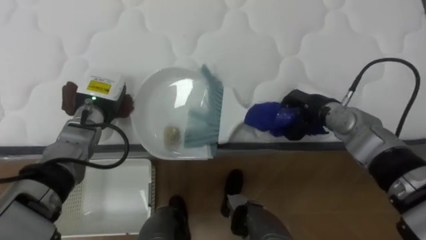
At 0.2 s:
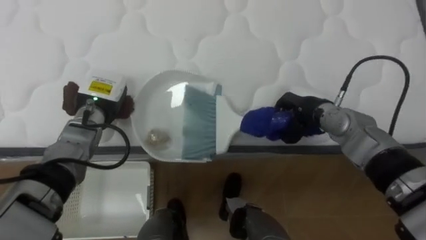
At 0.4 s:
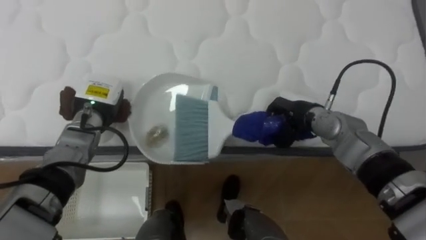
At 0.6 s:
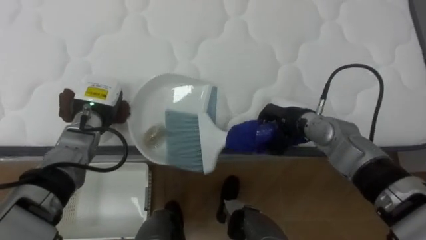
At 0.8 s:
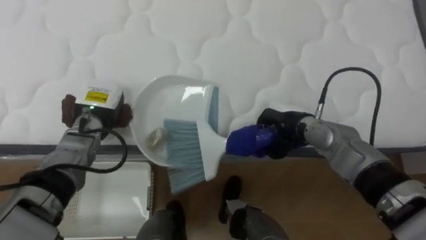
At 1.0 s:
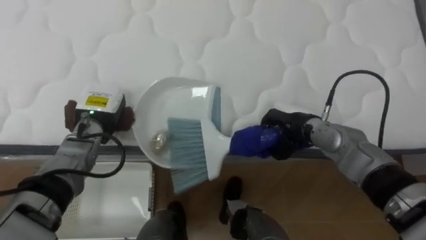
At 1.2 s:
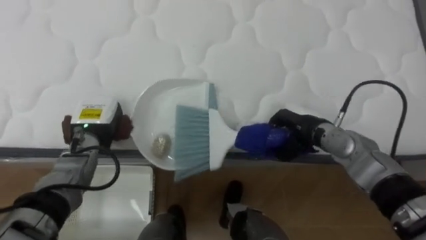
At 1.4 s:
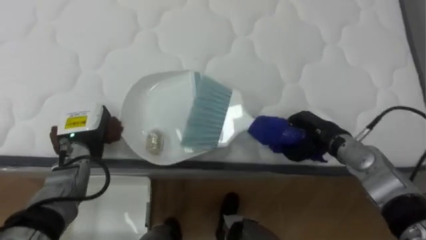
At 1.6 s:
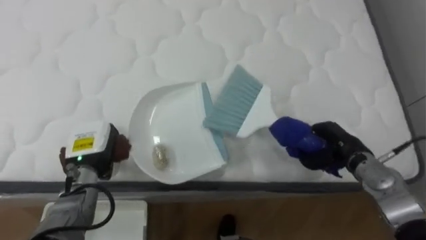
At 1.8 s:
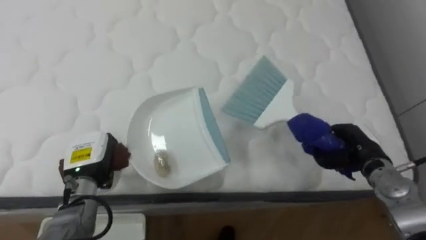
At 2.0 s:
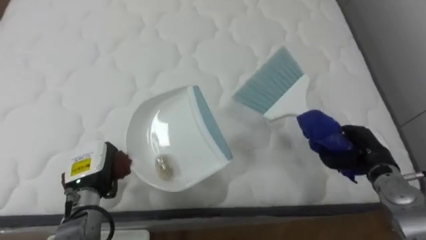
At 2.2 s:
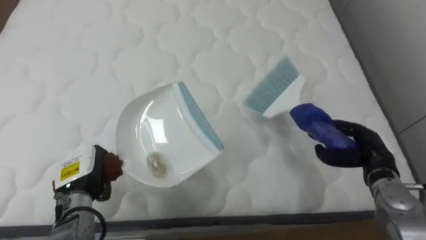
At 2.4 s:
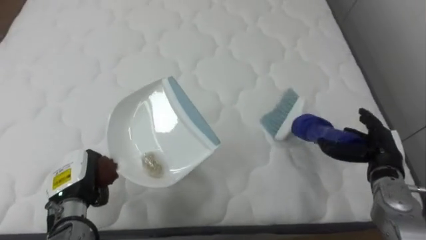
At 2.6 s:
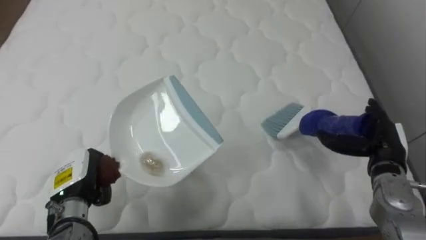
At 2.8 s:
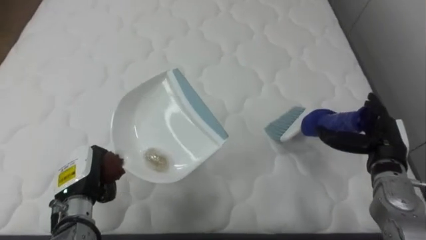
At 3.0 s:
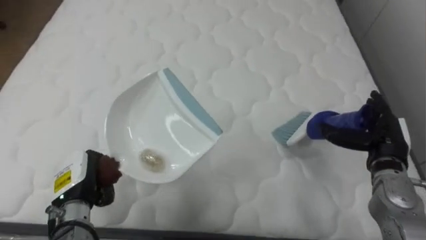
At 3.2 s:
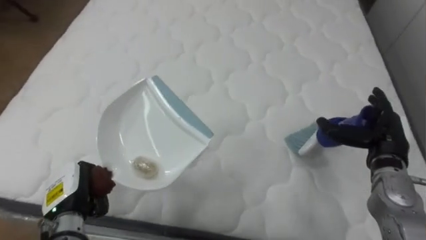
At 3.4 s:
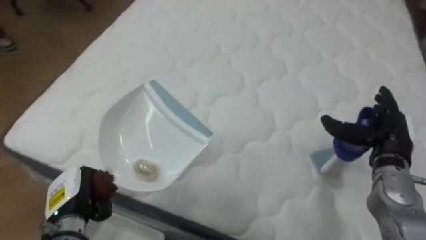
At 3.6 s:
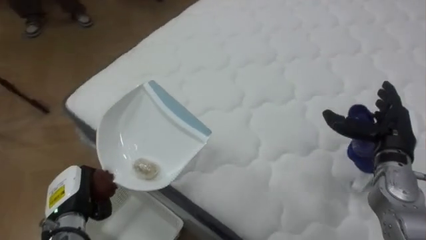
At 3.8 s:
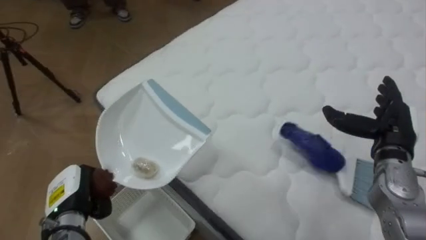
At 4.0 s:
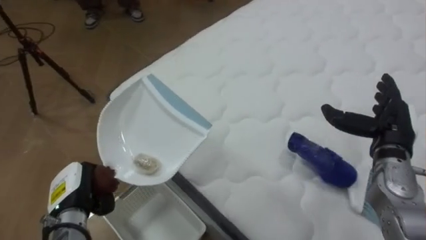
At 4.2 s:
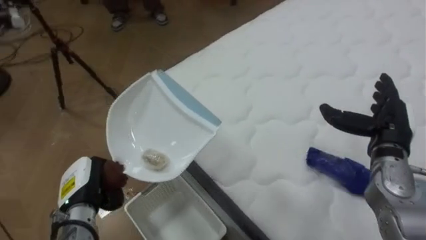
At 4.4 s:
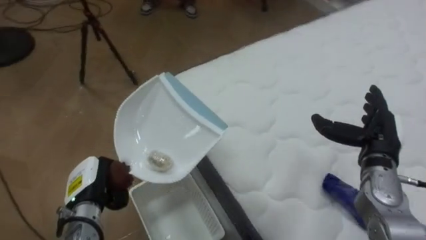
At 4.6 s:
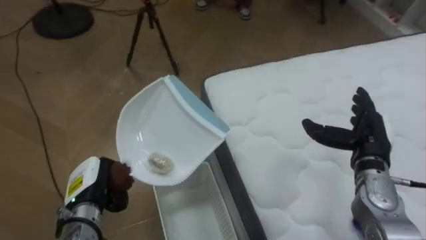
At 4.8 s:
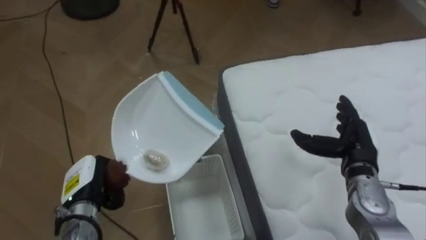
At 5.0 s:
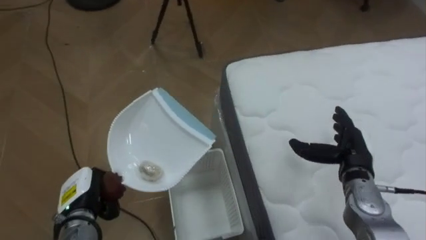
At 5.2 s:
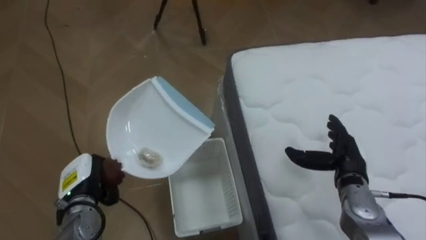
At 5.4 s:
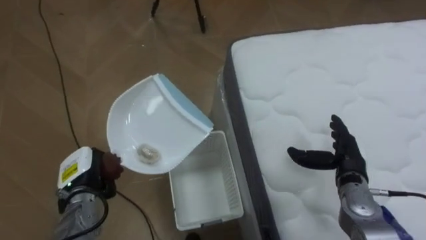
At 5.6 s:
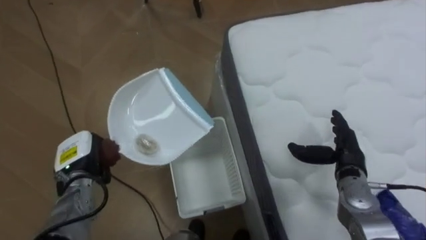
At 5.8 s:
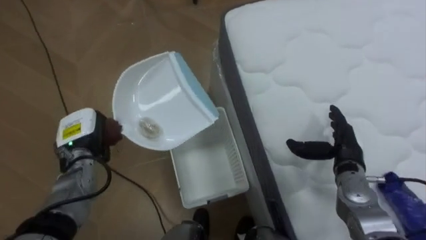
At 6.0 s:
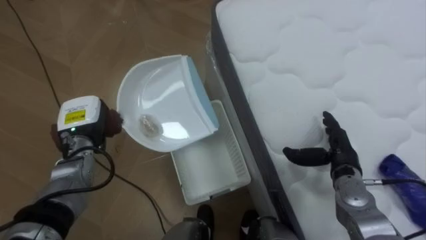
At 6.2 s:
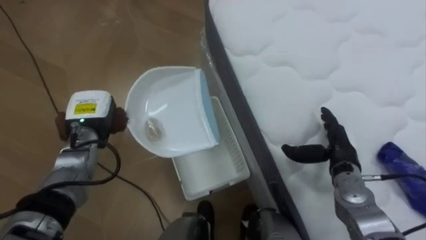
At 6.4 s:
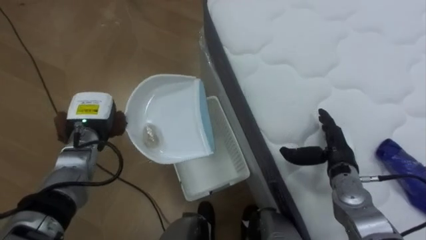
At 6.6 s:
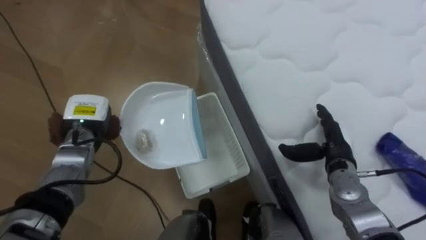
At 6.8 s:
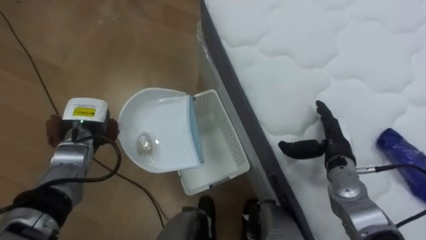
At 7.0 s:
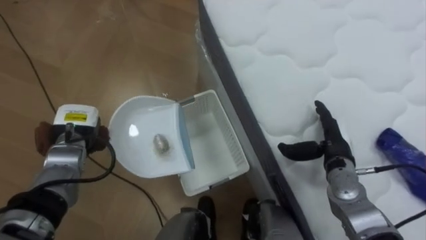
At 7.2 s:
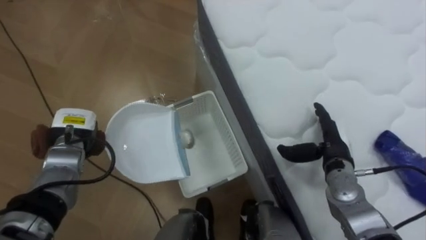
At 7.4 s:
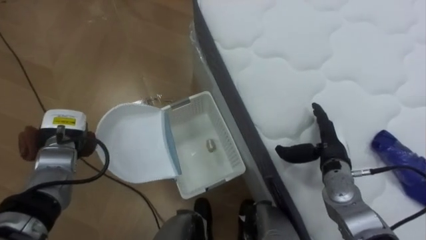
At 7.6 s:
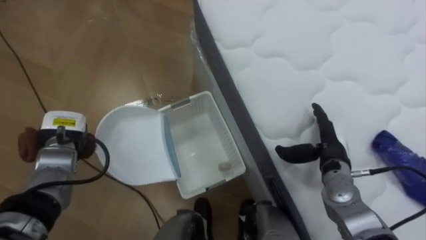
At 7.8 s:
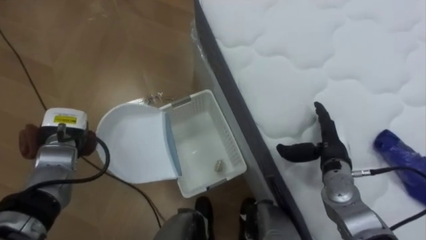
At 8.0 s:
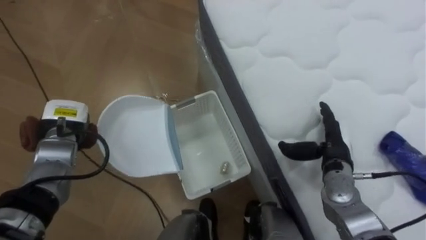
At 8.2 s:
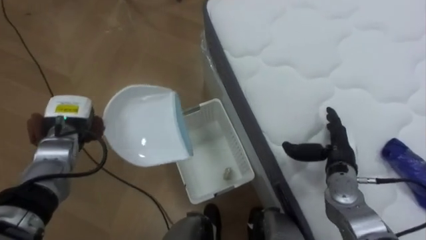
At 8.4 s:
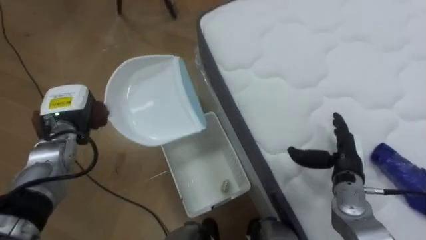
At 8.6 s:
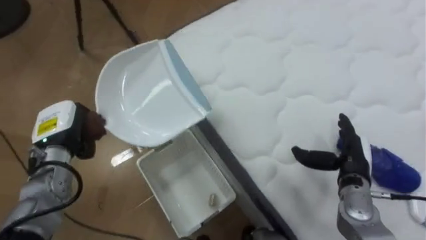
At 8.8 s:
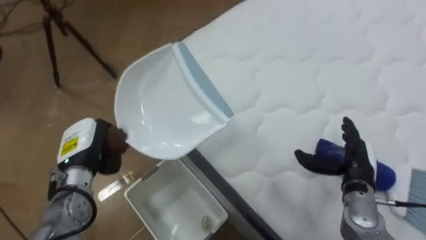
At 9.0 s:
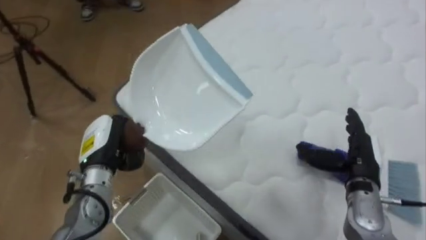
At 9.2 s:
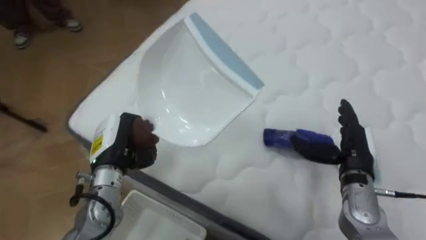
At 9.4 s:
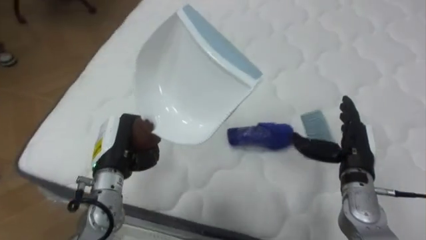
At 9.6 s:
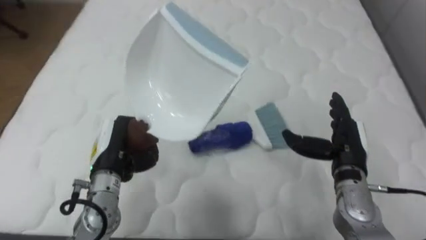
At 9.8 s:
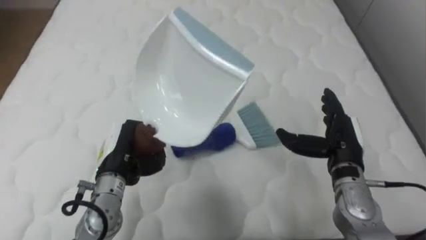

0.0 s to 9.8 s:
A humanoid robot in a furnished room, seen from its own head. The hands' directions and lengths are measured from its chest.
Task of the whole recording: Pick up the brush on your right and the dustpan on your left. Use the brush to sweep the crumpled paper on the bed into the dustpan, then turn left and empty it into the basket.
0.0 to 1.4 s: The right hand changes place by some 5 cm. Meanwhile the left hand is displaced backward by roughly 5 cm.
1.4 to 2.8 s: The right hand heads to the right and backward, covering roughly 10 cm, and opens. The left hand travels backward by some 10 cm.
2.8 to 4.2 s: The robot's body swings roughly 45 degrees to its left.
4.2 to 5.6 s: The robot's body swings roughly 30 degrees to its left. The left hand heads forward, covering about 5 cm. The right hand heads downward, covering about 10 cm.
5.6 to 7.0 s: The left hand travels forward by roughly 5 cm.
8.4 to 9.8 s: The robot turns to its right by about 70 degrees. The right hand changes place by about 5 cm, while the left hand is displaced to the right and backward by some 15 cm.

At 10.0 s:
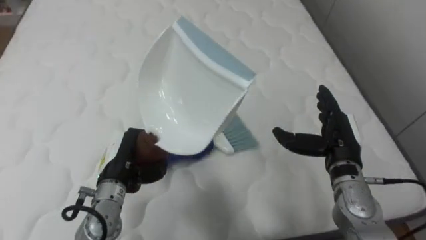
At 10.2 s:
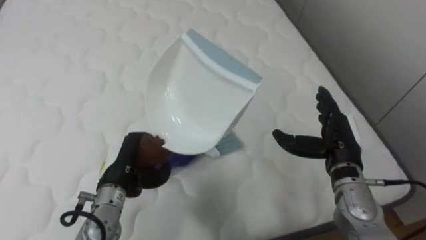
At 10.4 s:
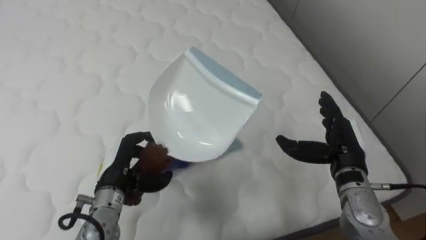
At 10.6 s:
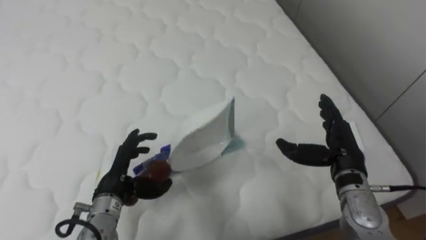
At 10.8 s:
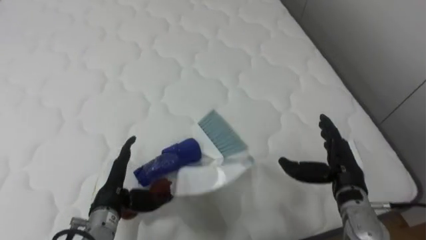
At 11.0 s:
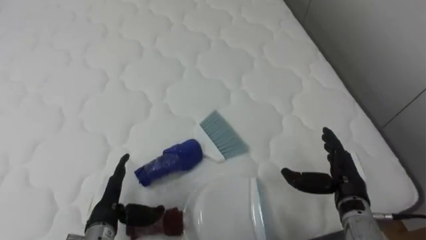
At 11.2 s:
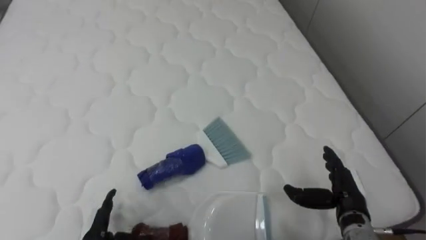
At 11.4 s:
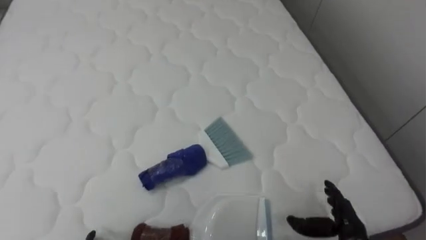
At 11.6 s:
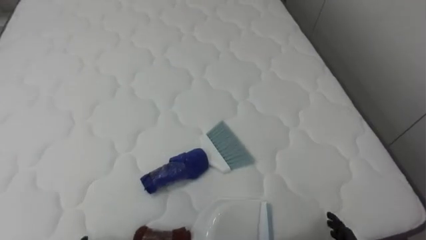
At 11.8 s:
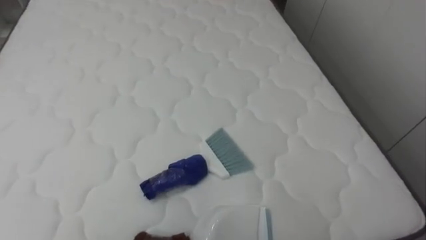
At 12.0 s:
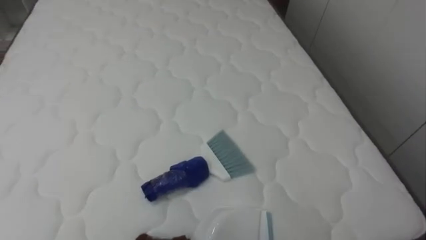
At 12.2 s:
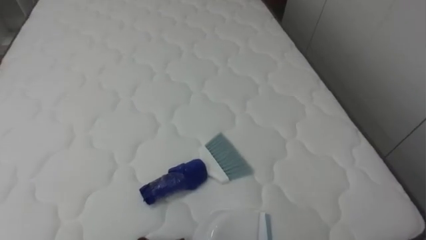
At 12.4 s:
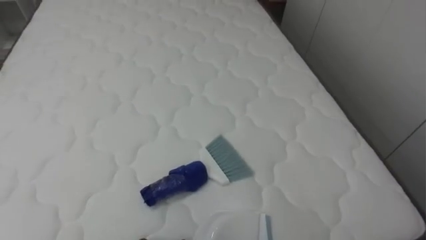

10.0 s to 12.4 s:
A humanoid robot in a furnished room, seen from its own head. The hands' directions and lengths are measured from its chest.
Task of the whole recording: Pick up the brush on your right and the dustpan on your left. Use the brush to sweep the crumpled paper on the bed into the dustpan, then turn left and empty it into the basket.
10.0 to 11.2 s: The two hands go some 15 cm downward and backward. The left hand opens its fingers.

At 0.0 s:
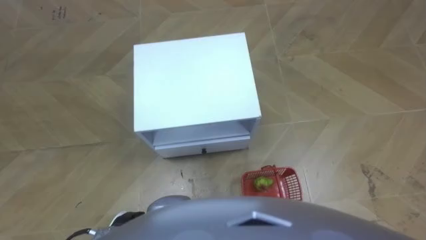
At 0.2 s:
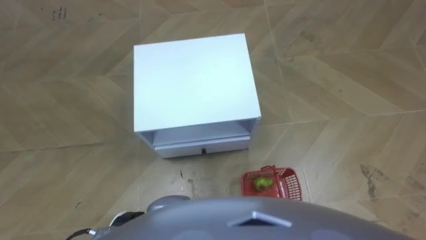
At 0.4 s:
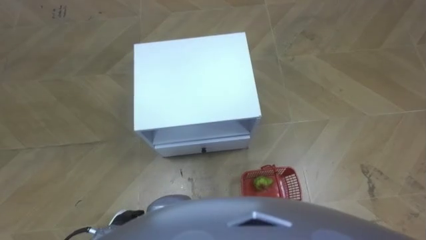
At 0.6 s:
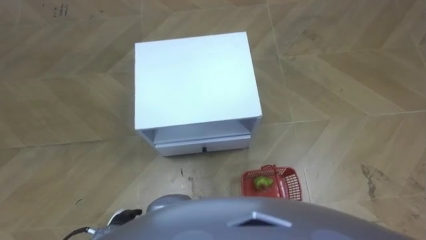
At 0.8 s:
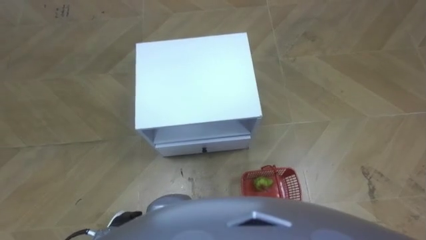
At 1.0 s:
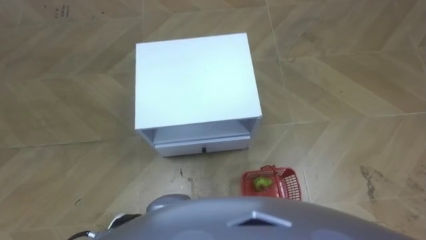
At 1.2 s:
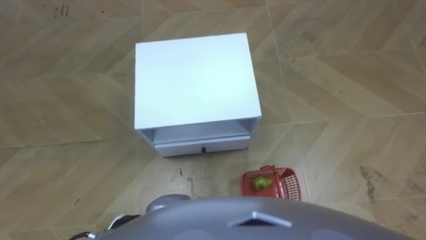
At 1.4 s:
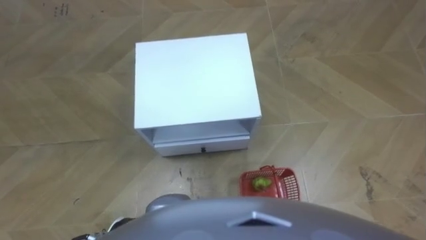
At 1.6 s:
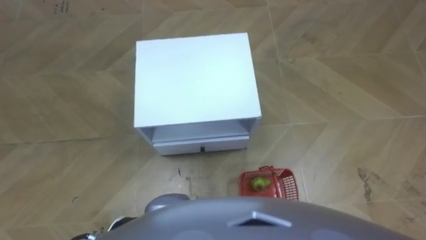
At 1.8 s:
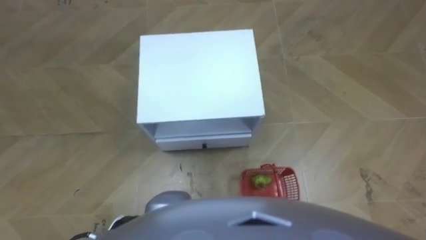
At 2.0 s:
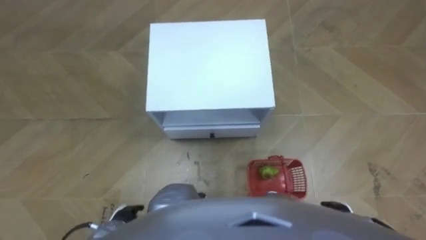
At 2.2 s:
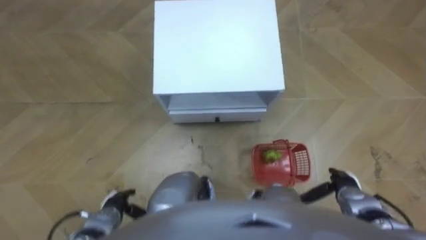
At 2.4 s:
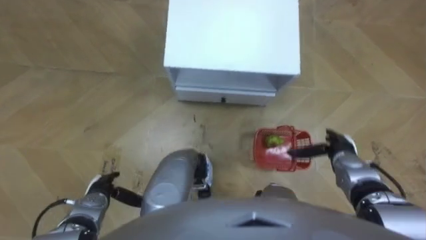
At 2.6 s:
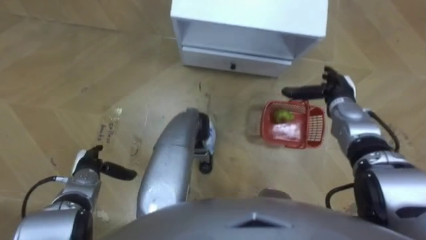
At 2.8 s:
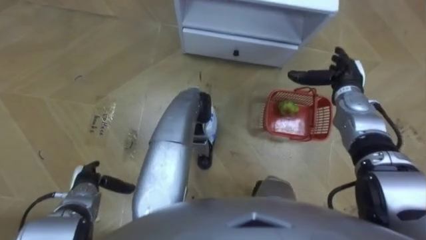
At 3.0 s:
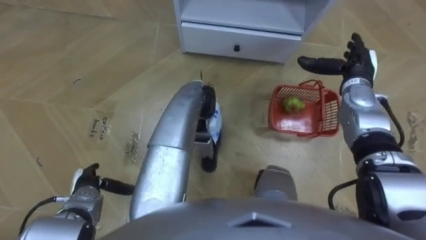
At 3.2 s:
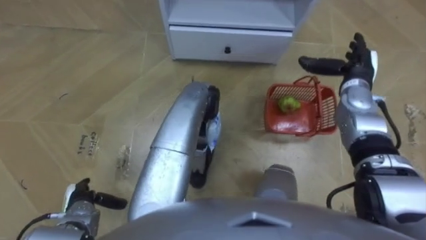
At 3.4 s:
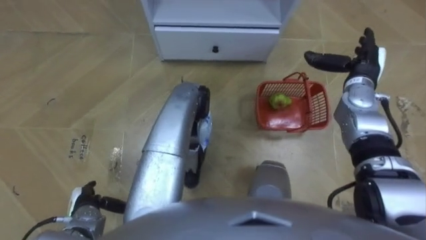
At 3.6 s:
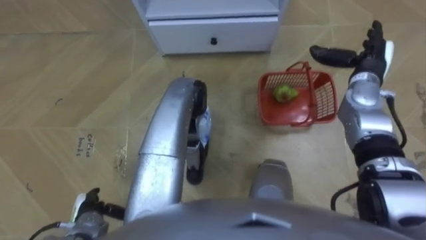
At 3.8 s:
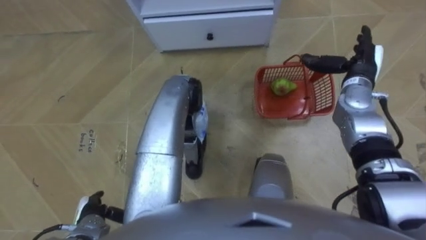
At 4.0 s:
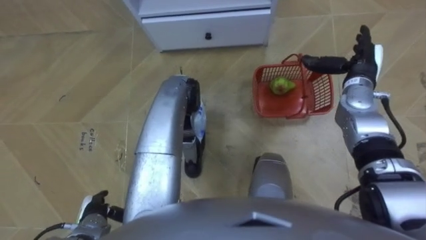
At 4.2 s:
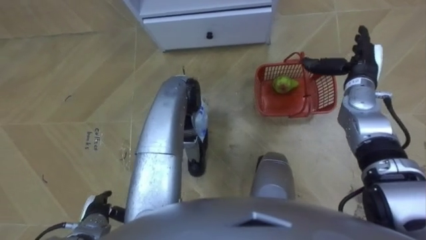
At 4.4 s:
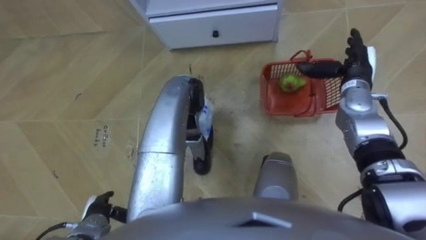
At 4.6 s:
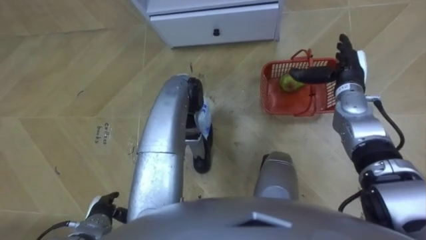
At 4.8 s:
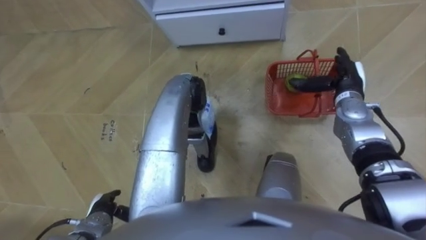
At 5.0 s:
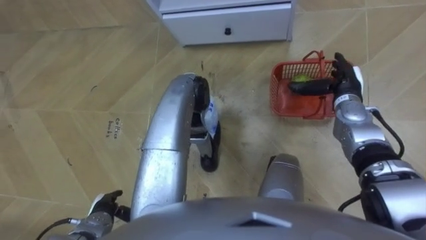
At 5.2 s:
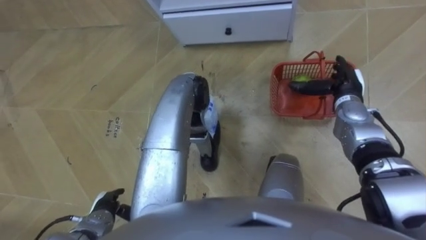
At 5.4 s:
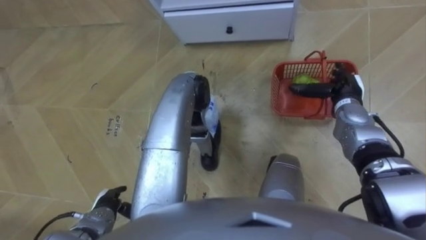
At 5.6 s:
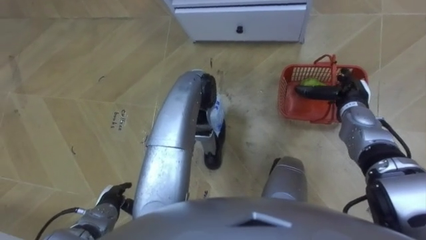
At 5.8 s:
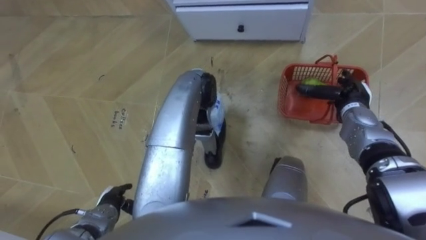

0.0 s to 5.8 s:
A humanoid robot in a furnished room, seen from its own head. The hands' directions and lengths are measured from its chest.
Task of the whole recording: Pick up the fruit basket from the floor and place it on the cabinet.
1.4 to 2.8 s: The left hand is displaced forward and to the left by roughly 15 cm. Meanwhile the right hand travels forward and upward by approximately 35 cm.
2.8 to 4.4 s: The left hand is displaced backward by approximately 10 cm.
4.4 to 5.8 s: The right hand shifts some 5 cm downward.
